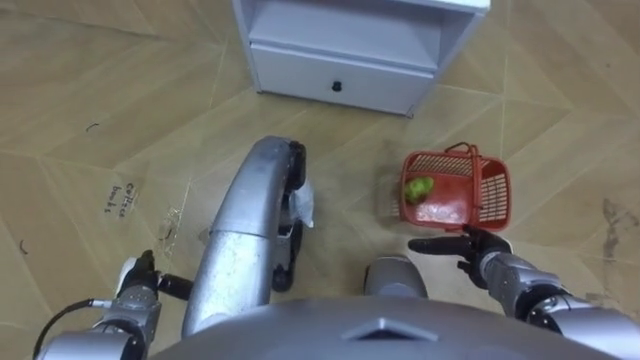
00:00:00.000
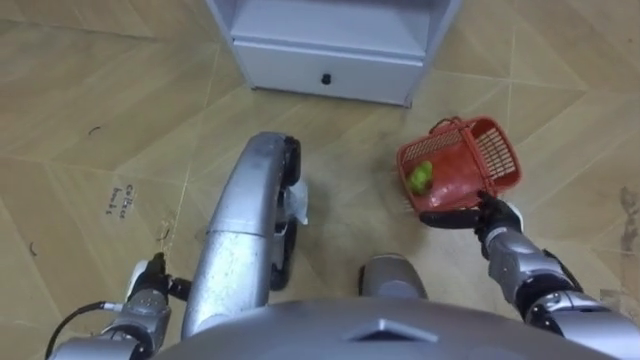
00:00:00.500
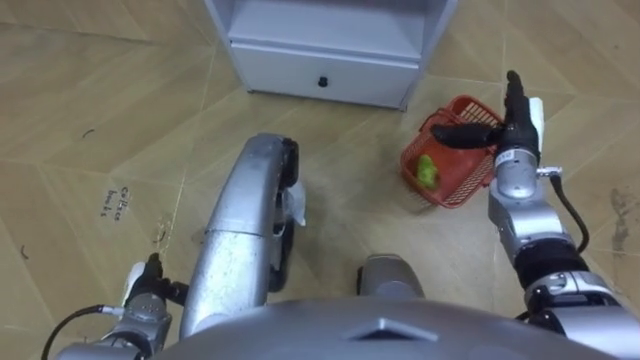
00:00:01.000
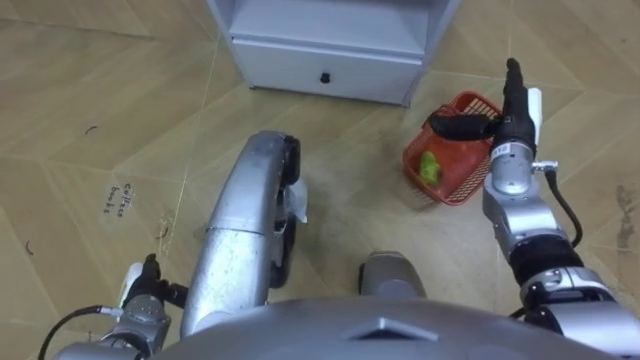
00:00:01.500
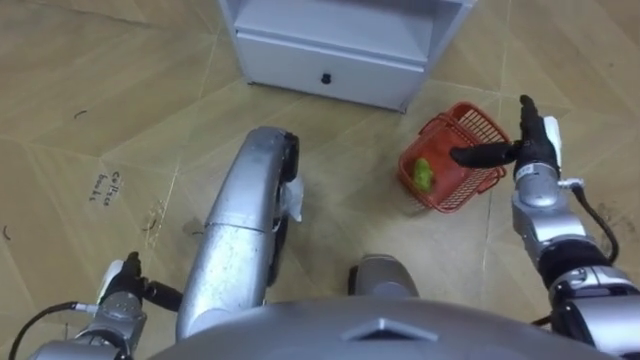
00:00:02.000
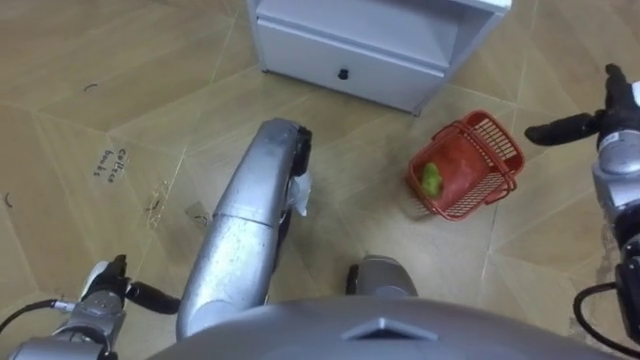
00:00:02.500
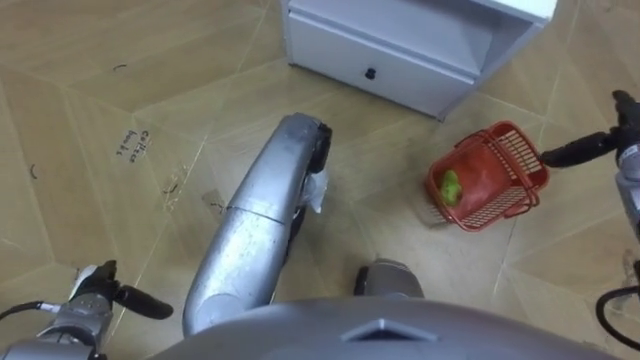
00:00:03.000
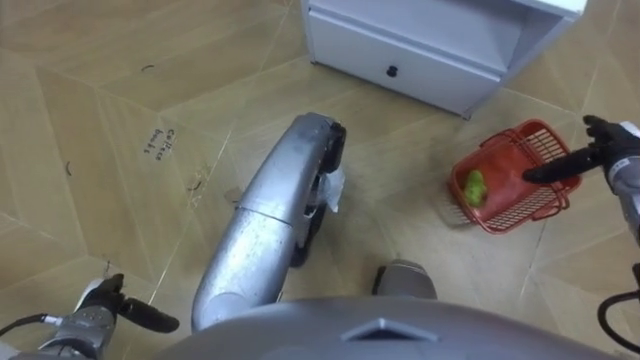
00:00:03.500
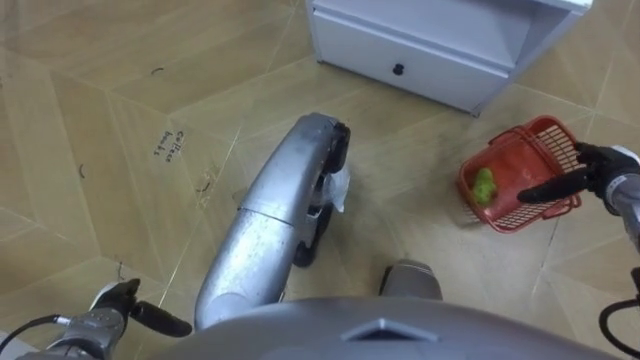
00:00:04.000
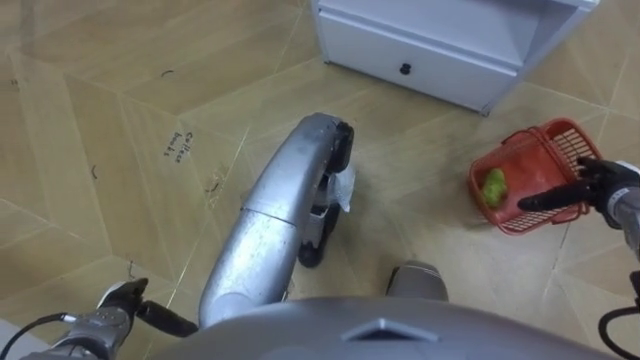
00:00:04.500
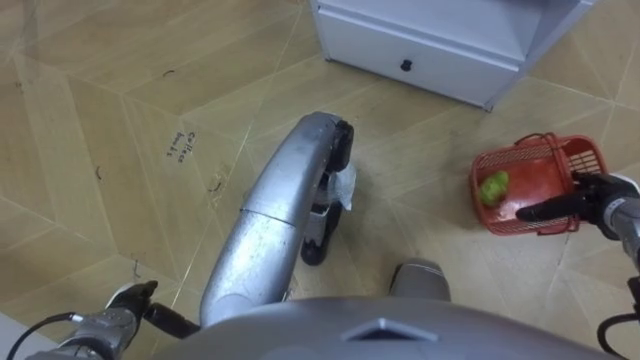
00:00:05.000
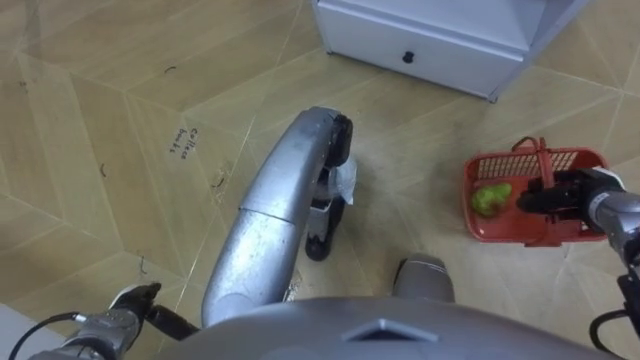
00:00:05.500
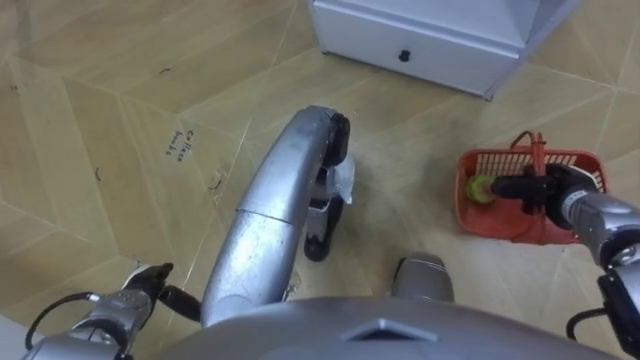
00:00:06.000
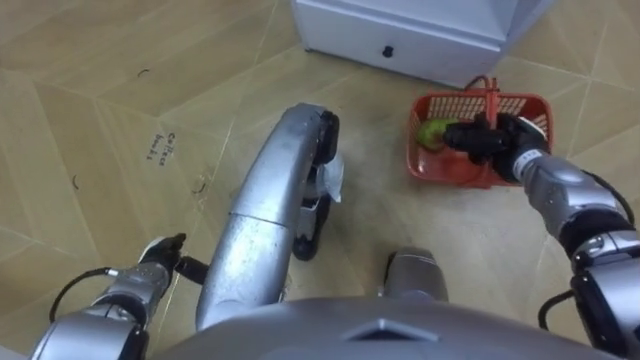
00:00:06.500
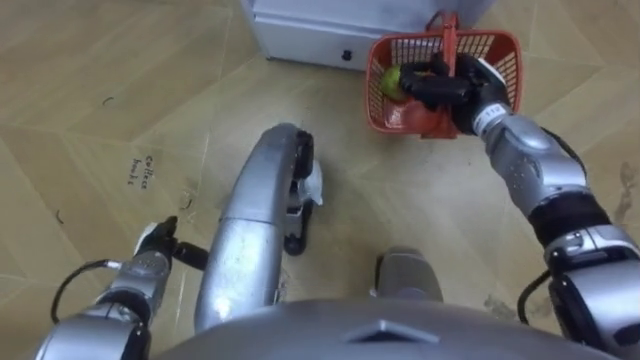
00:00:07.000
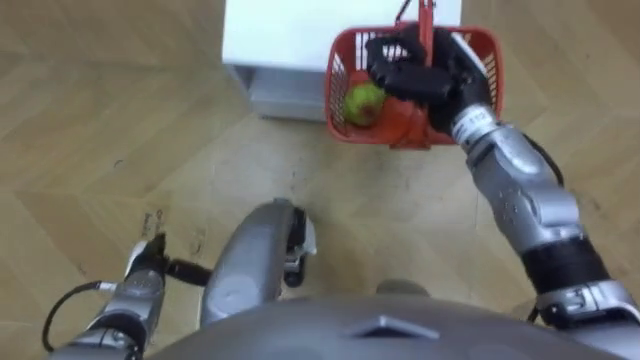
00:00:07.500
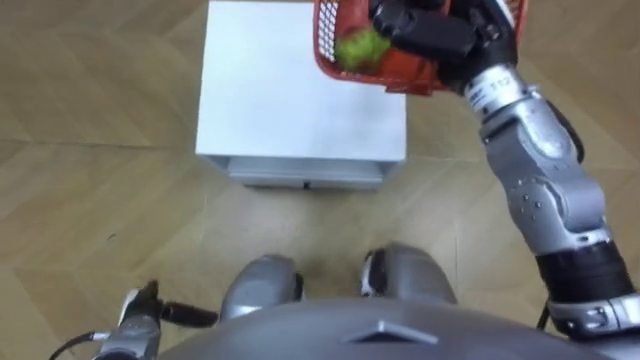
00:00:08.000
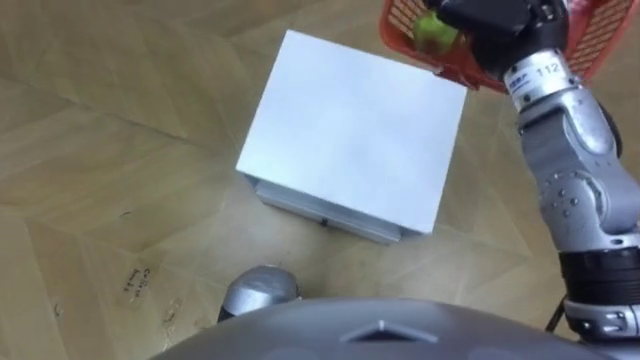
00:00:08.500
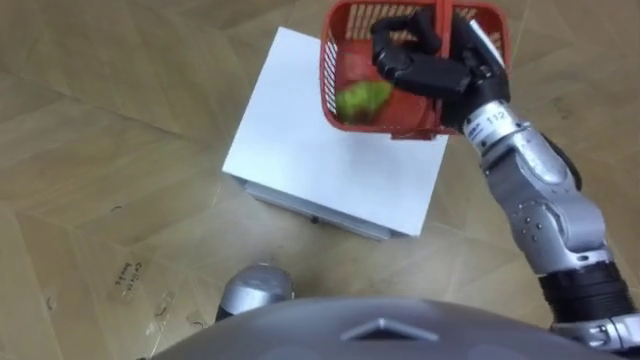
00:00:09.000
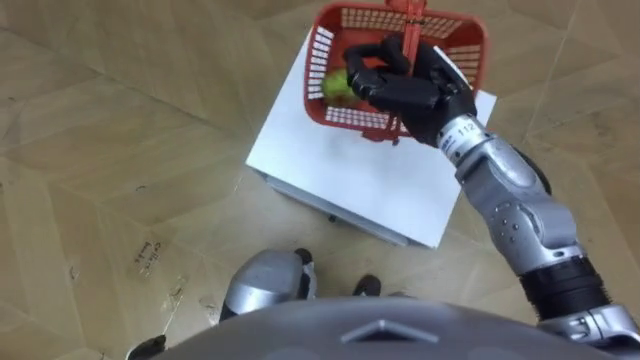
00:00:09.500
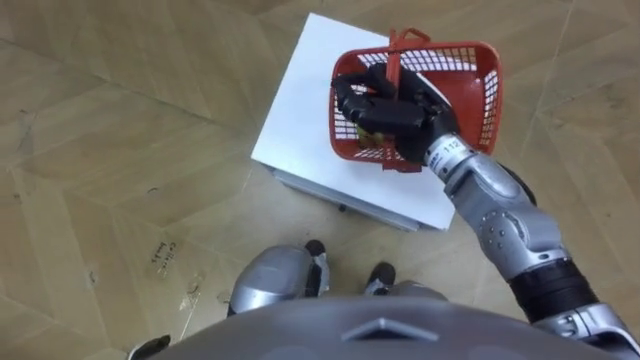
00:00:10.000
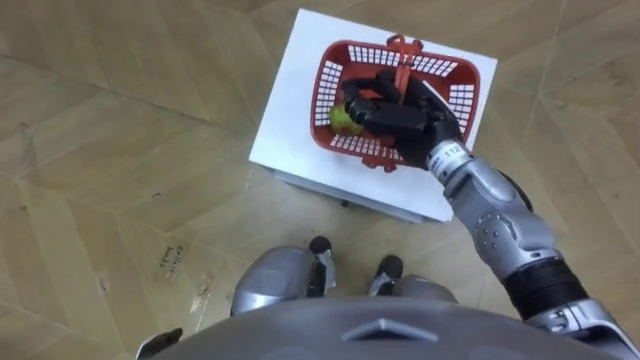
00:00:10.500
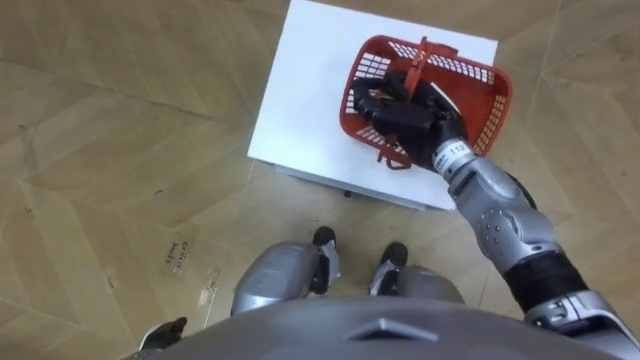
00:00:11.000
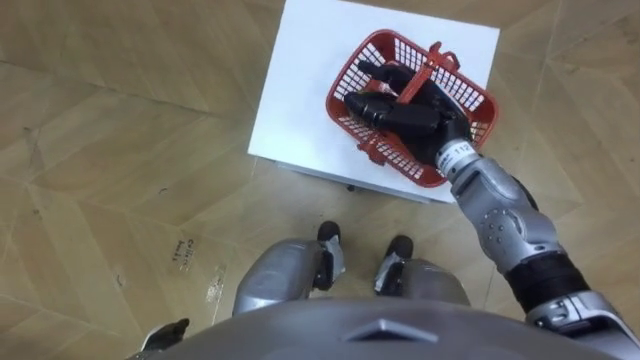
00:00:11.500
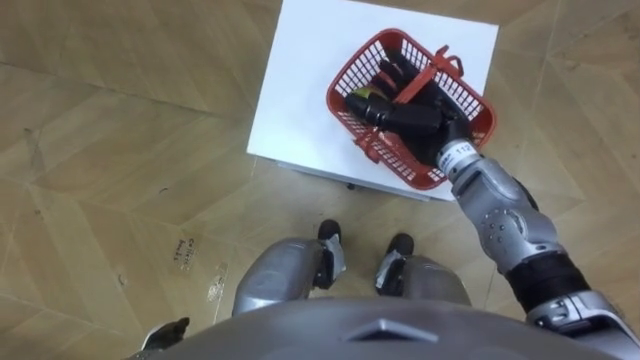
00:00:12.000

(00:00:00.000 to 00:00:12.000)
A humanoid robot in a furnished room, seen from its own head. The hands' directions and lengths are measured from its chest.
Task of the whole recording: Pick up the fruit basket from the floor and place it on the cabinet.
00:00:00.000 - 00:00:02.000: The right hand moves forward and upward, about 15 cm.
00:00:02.000 - 00:00:04.000: The right hand shifts some 10 cm to the right.
00:00:04.000 - 00:00:06.000: The right hand ends up approximately 5 cm from where it was, and closes.
00:00:06.000 - 00:00:08.000: The left hand moves about 5 cm forward and comes back, while the right hand goes about 35 cm upward, to the left and forward.
00:00:08.000 - 00:00:10.000: The right hand shifts about 10 cm downward.
00:00:10.000 - 00:00:12.000: The right hand opens up.

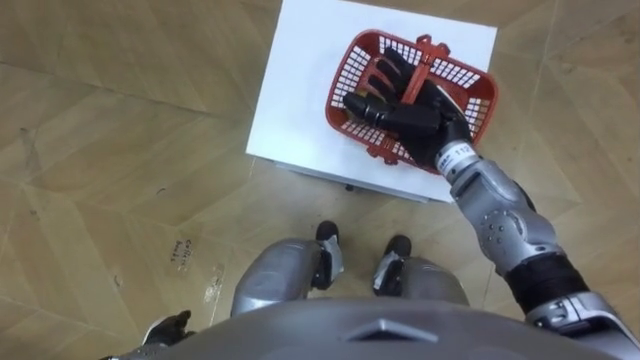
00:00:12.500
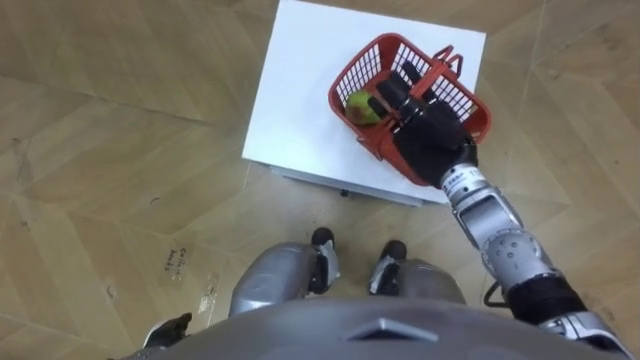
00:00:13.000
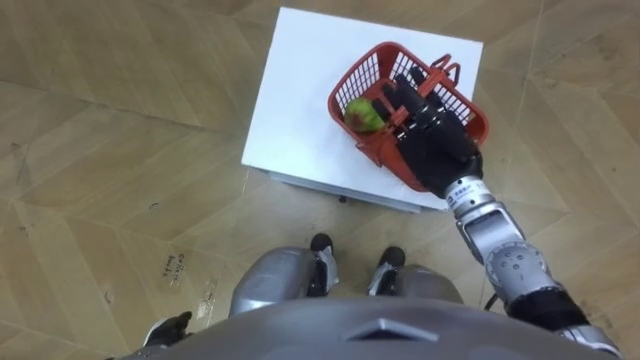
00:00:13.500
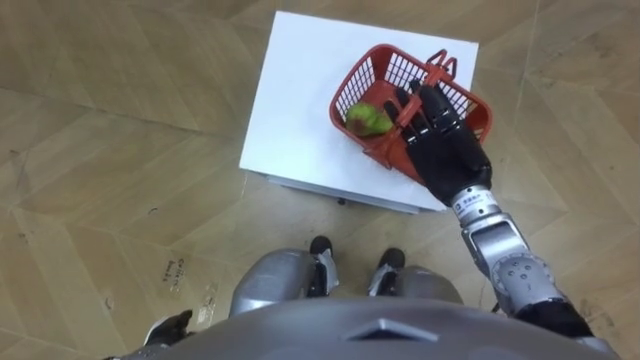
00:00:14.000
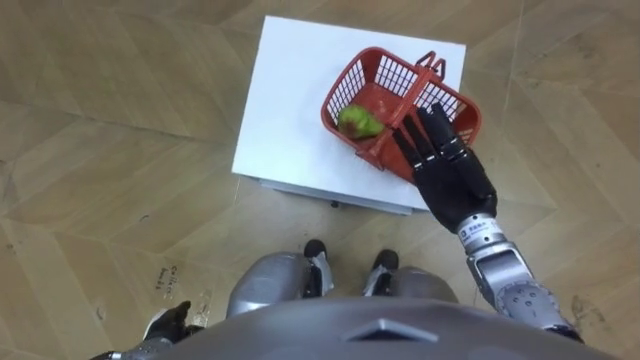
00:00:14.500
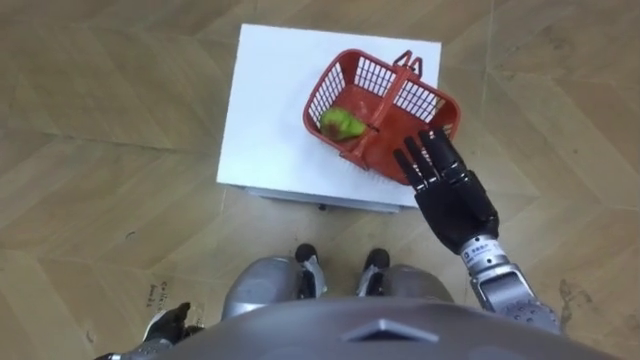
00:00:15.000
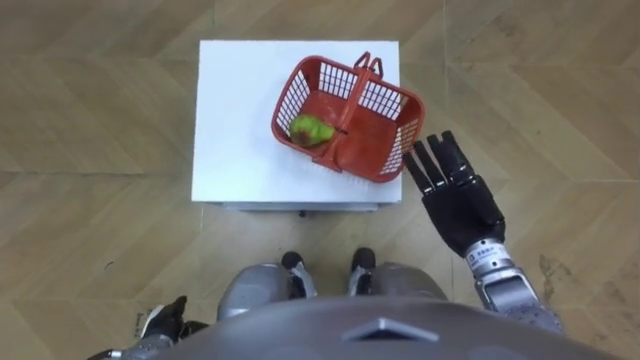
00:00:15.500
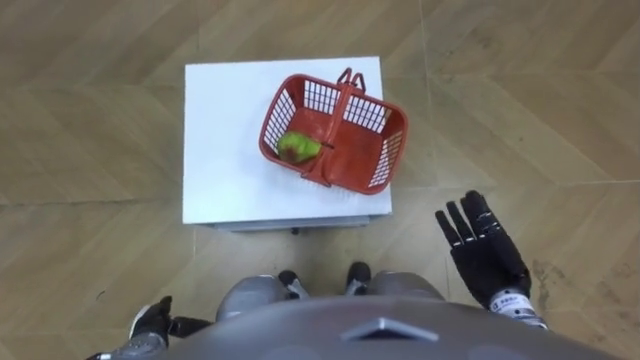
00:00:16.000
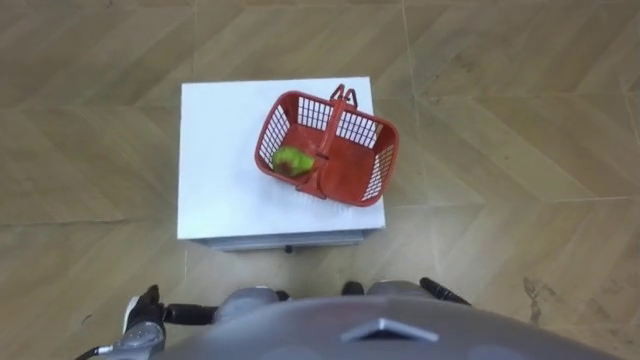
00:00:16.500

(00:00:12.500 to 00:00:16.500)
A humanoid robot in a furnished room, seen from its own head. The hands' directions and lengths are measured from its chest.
Task of the whole recording: Pick up the fruit basket from the floor and place it on the cabinet.
00:00:12.500 - 00:00:14.500: The right hand is displaced backward by approximately 5 cm.
00:00:14.500 - 00:00:16.500: The right hand is displaced backward and downward by roughly 25 cm.

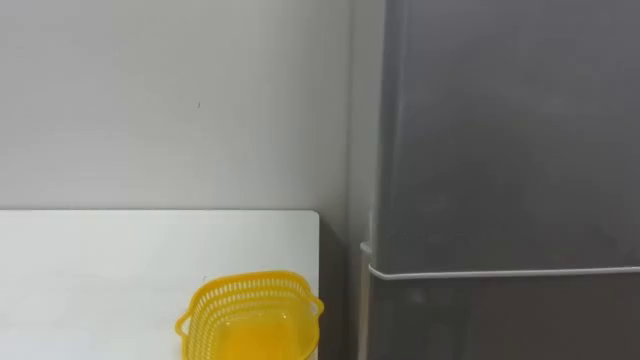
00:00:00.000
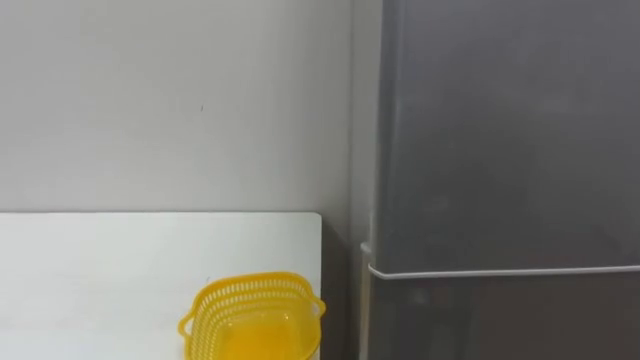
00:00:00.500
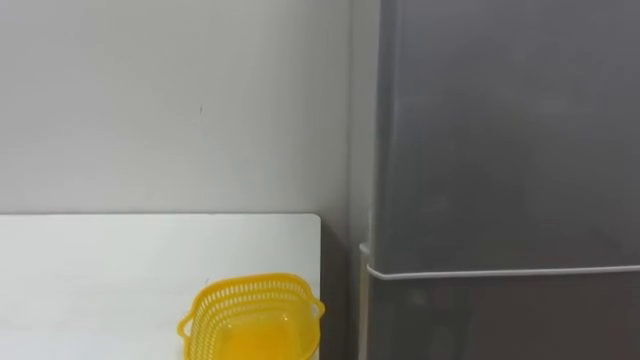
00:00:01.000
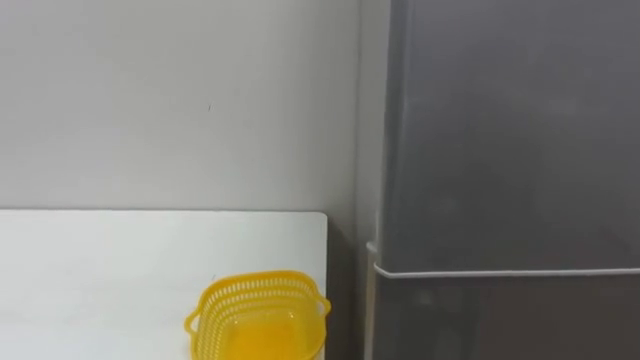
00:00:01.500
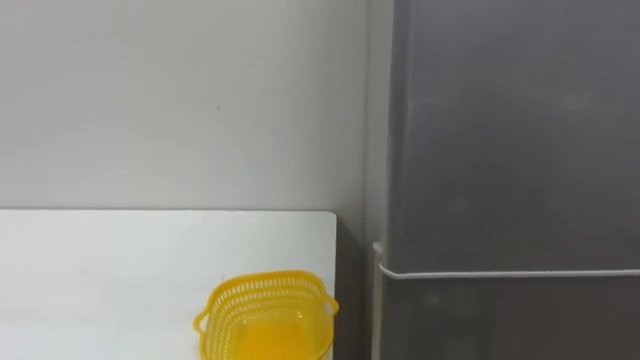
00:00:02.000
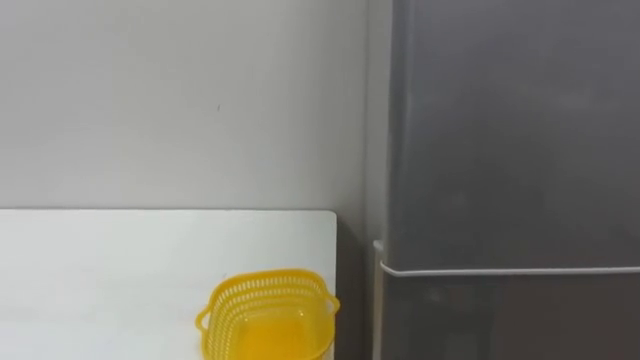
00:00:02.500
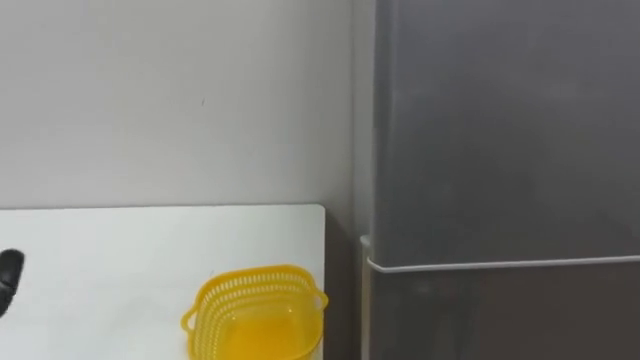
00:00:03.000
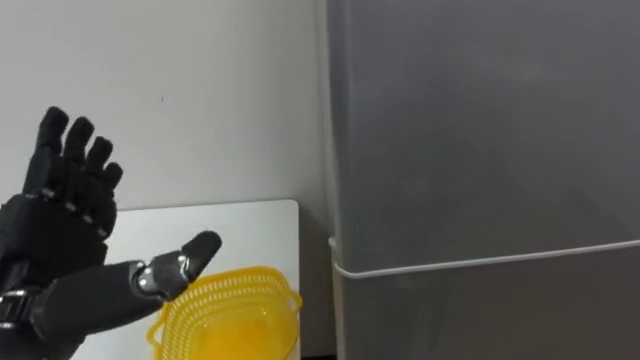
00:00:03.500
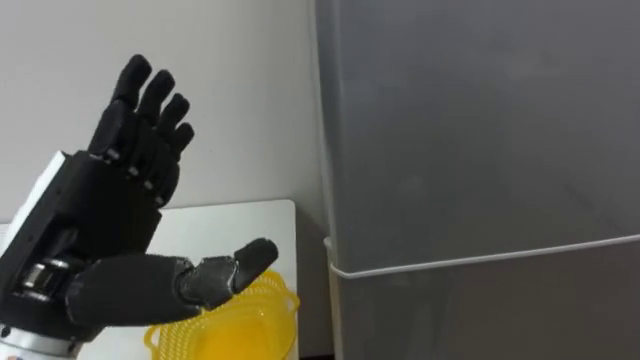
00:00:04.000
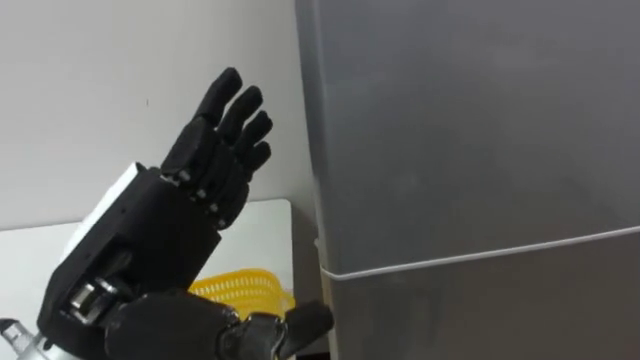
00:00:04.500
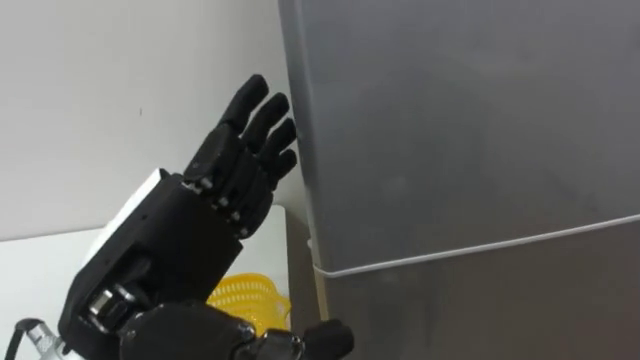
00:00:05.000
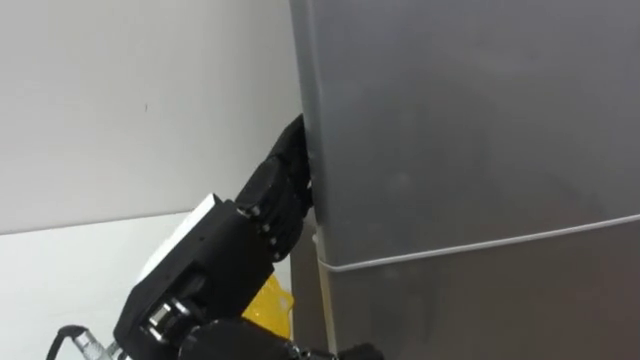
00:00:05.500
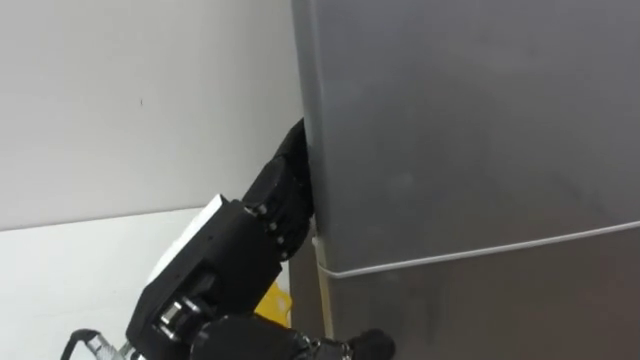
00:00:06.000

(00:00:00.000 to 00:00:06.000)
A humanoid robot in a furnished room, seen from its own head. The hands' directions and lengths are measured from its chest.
Task of the whole recording: Open the refrigerator door, take out the apple and the pomegranate, place them in the fruit basket on the left, and close the refrigerator door.
00:00:04.000 - 00:00:06.000: The left hand moves to the right, approximately 10 cm.
